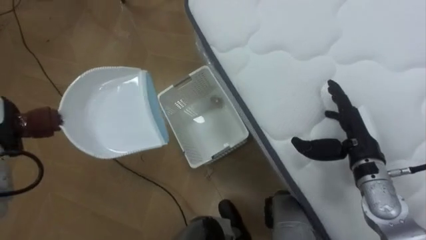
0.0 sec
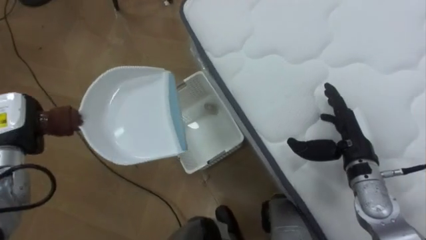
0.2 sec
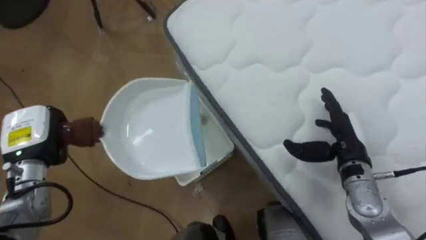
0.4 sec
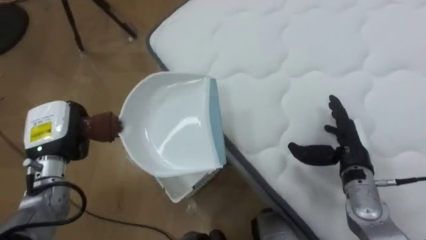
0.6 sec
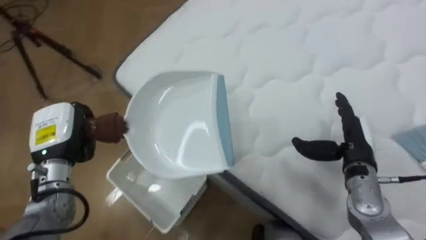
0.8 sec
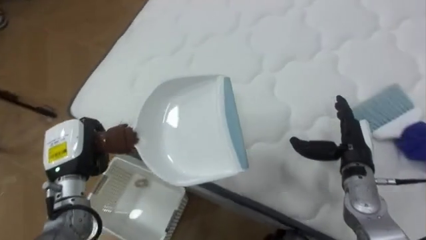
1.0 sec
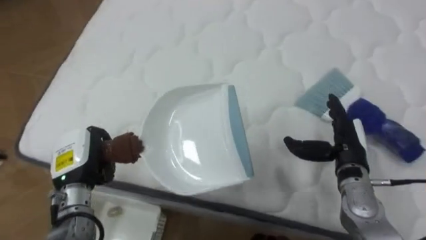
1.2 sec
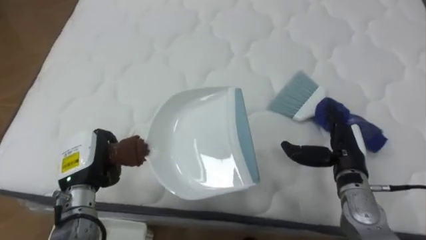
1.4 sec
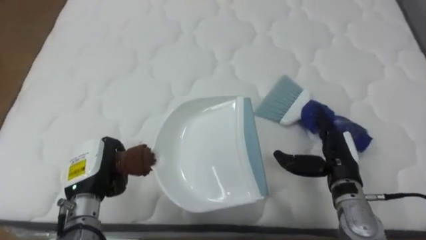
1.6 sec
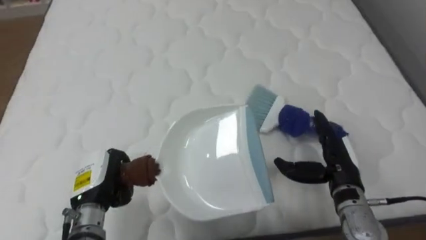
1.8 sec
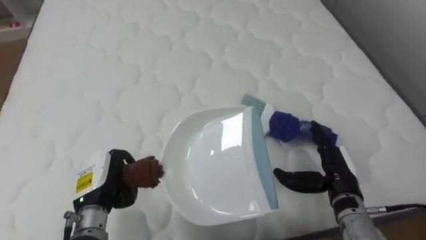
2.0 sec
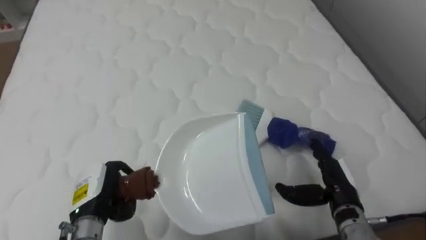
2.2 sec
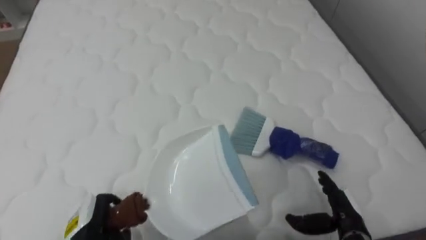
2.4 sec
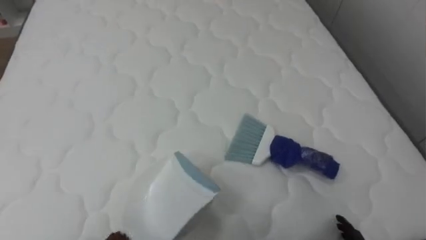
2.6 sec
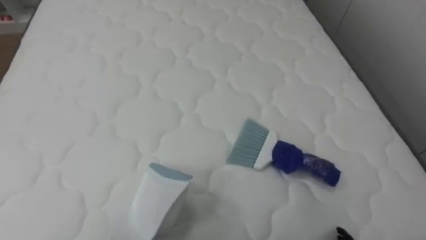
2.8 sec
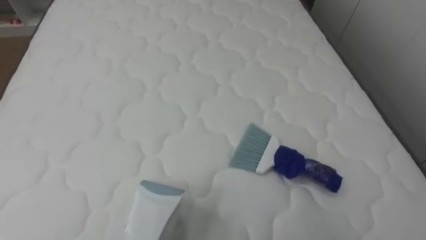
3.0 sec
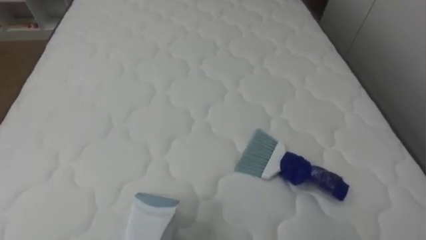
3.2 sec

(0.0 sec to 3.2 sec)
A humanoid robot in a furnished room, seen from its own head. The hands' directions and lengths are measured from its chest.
Task of the whole recording: Pick up the brush on your right and the dustpan on your left. Use the brush to sweep the crumpled paper on the bed into the dustpan, then turn left and empty it into the basket.
0.0 sec - 1.6 sec: The robot's body swings approximately 70 degrees to its right. The right hand moves approximately 5 cm.

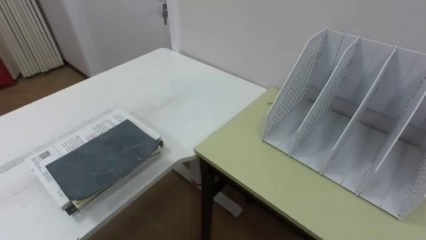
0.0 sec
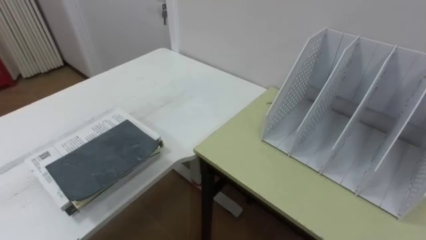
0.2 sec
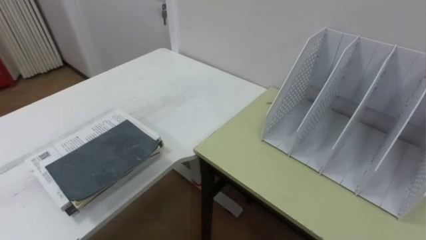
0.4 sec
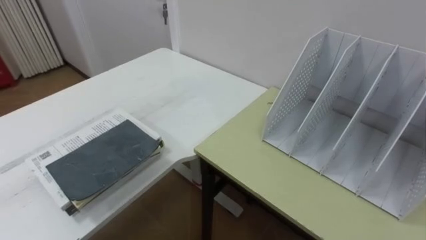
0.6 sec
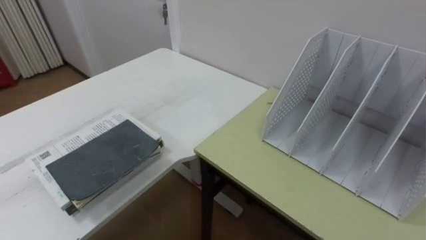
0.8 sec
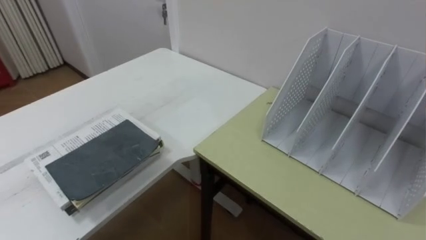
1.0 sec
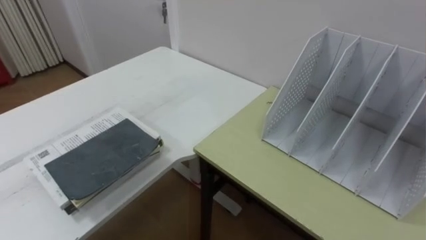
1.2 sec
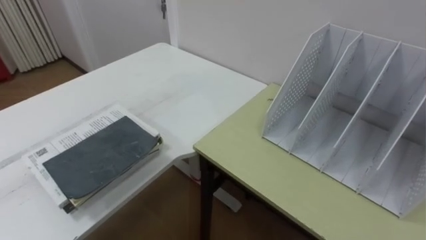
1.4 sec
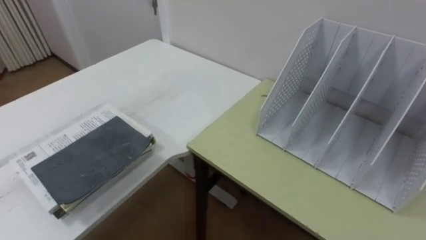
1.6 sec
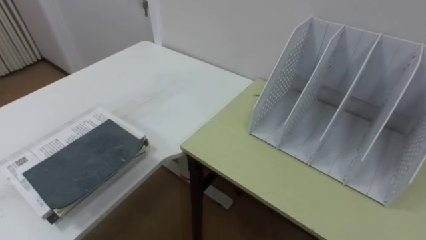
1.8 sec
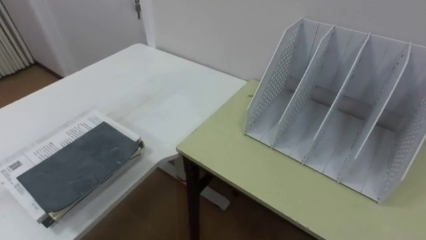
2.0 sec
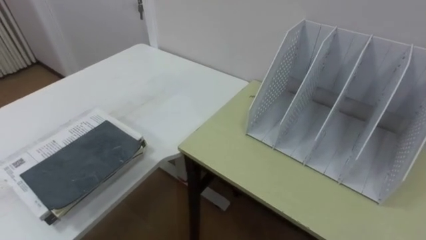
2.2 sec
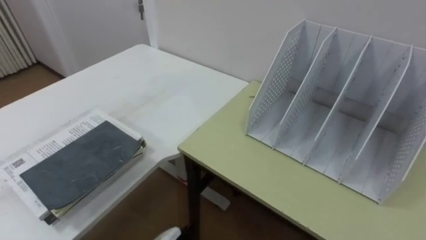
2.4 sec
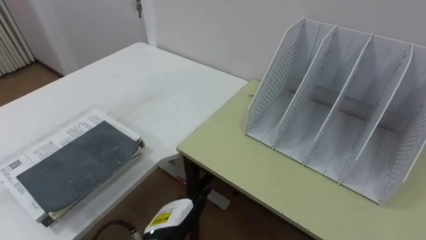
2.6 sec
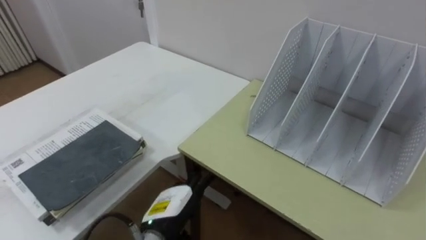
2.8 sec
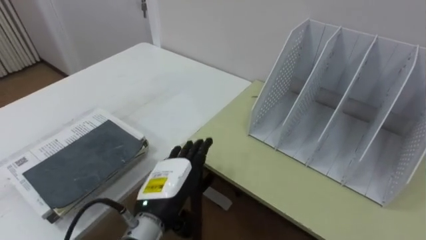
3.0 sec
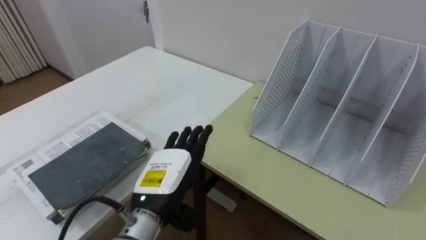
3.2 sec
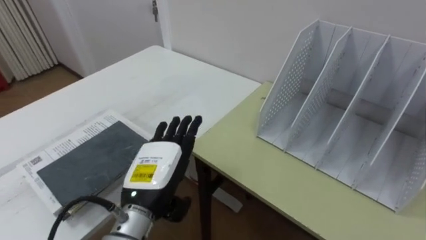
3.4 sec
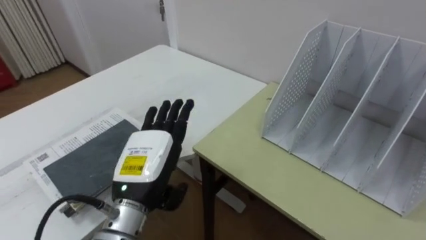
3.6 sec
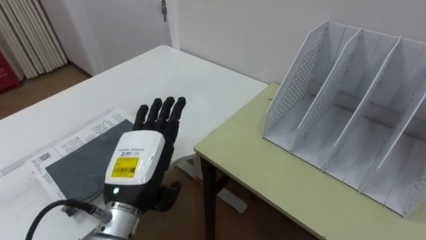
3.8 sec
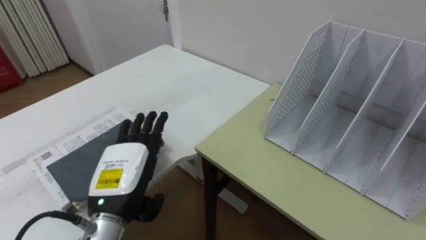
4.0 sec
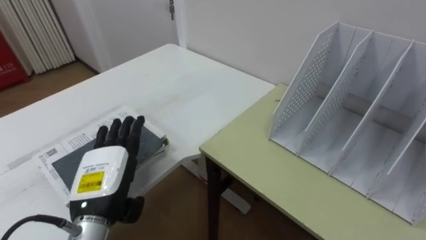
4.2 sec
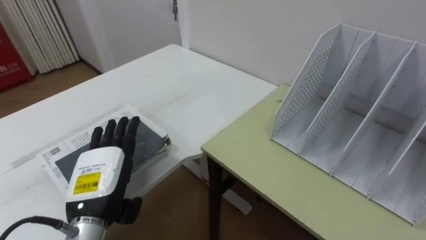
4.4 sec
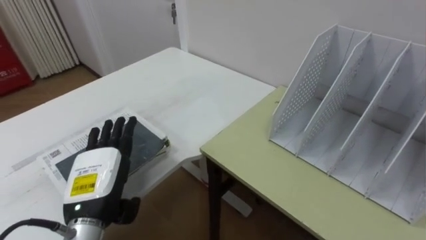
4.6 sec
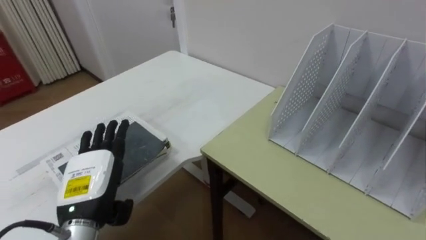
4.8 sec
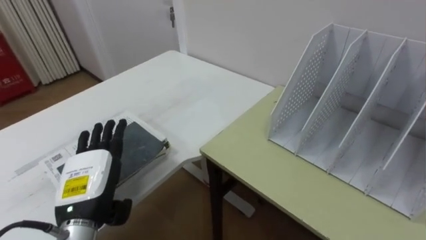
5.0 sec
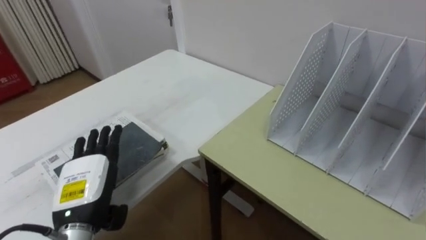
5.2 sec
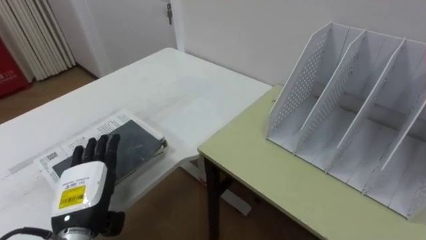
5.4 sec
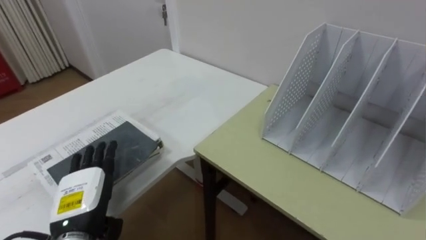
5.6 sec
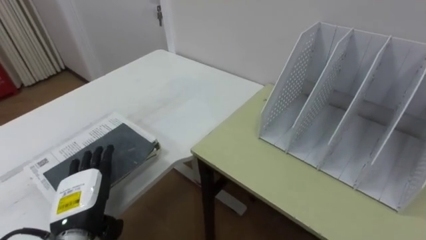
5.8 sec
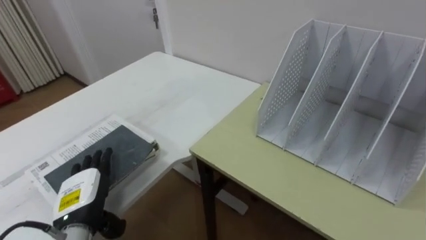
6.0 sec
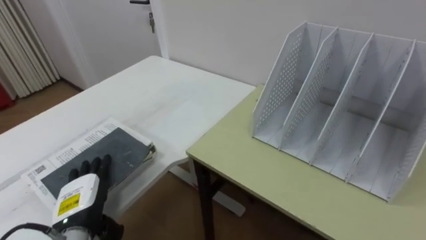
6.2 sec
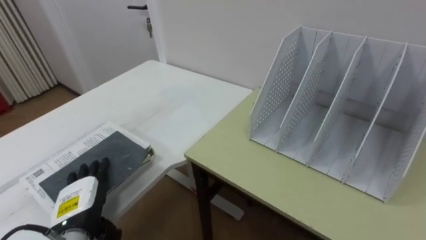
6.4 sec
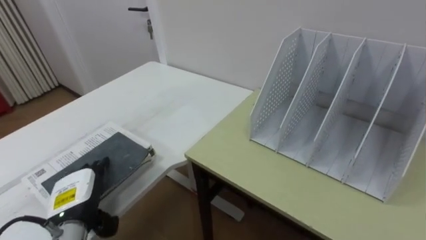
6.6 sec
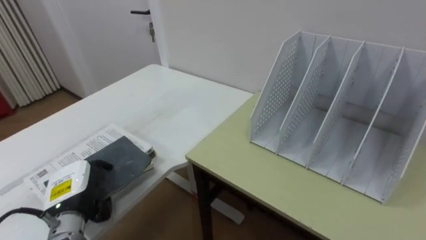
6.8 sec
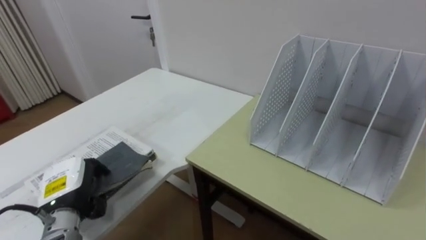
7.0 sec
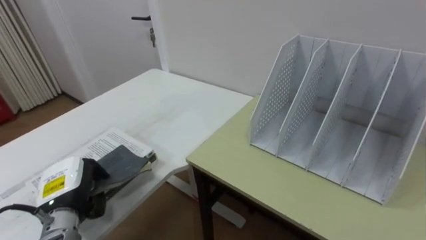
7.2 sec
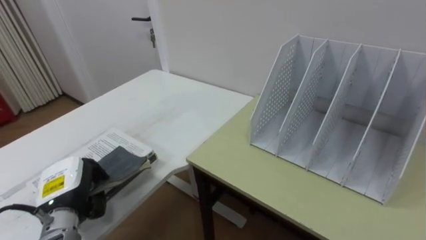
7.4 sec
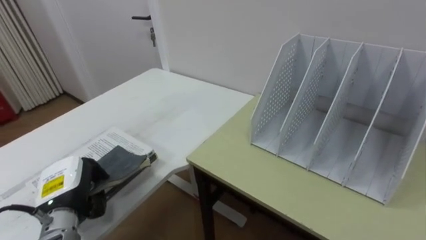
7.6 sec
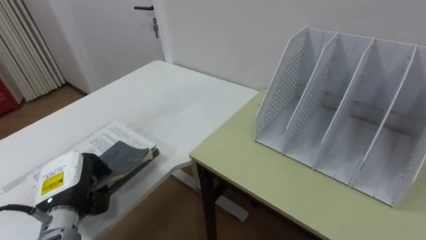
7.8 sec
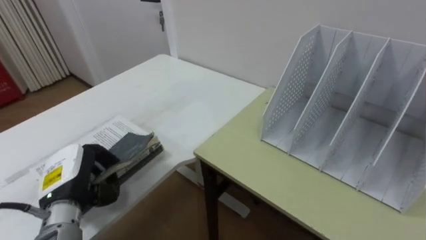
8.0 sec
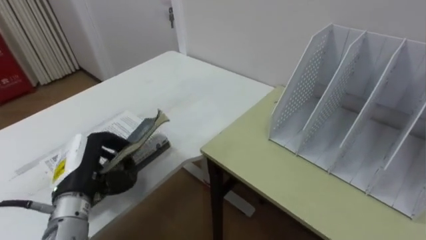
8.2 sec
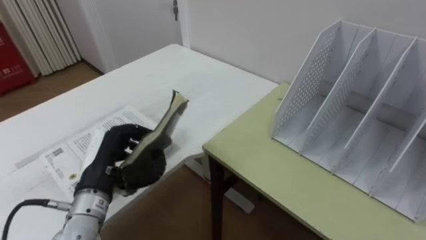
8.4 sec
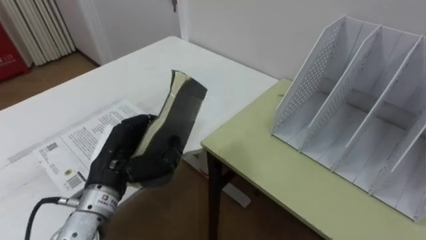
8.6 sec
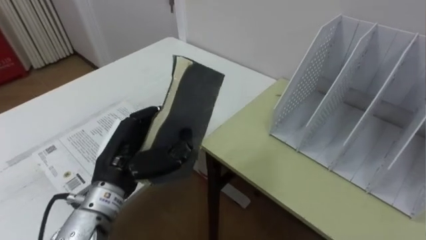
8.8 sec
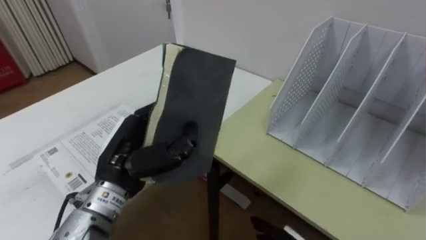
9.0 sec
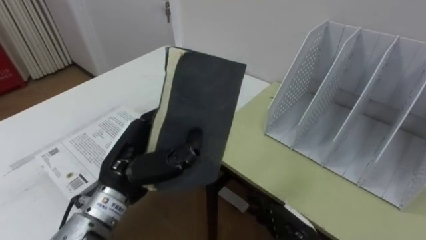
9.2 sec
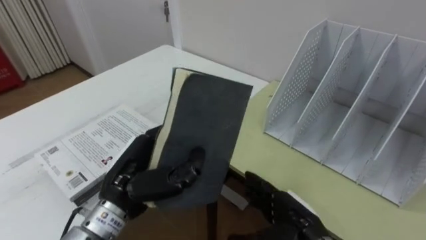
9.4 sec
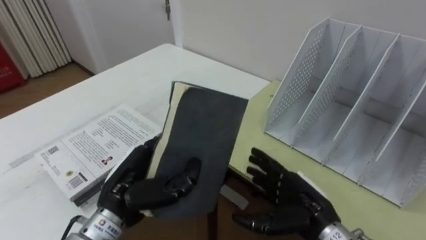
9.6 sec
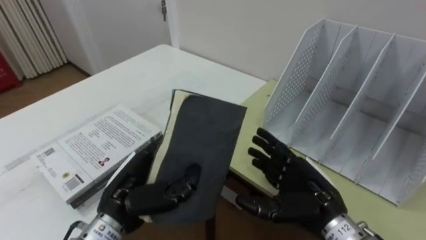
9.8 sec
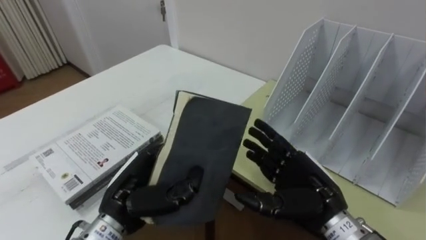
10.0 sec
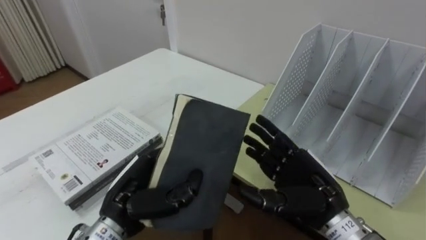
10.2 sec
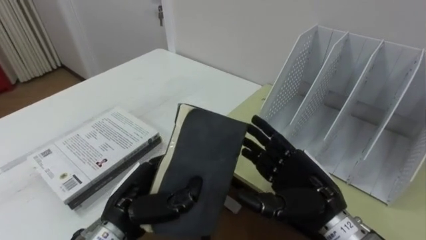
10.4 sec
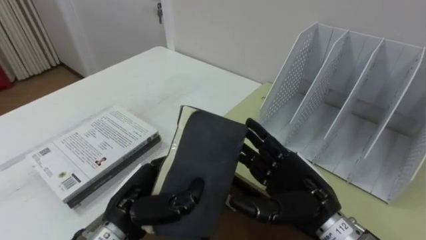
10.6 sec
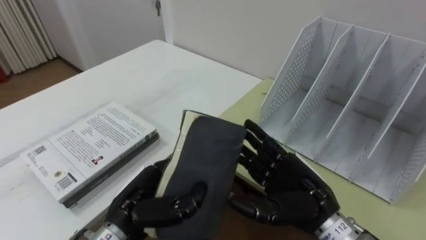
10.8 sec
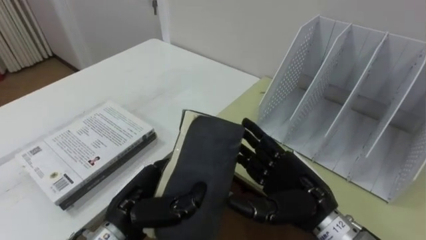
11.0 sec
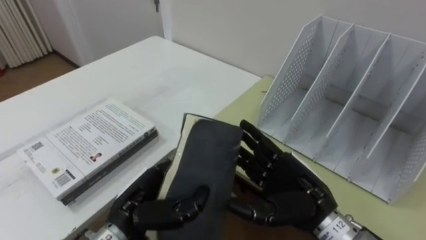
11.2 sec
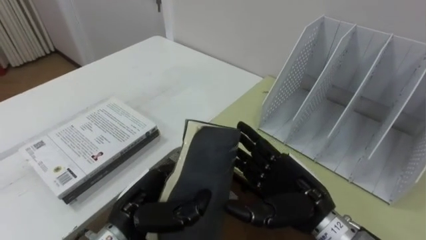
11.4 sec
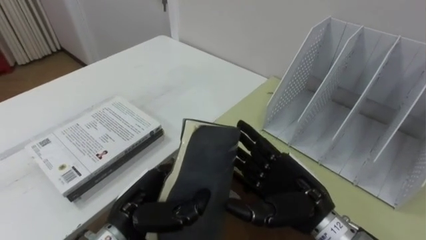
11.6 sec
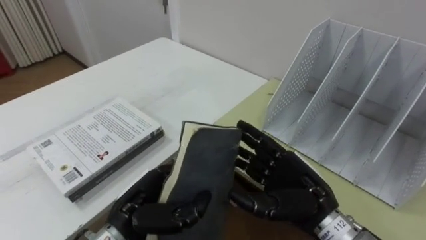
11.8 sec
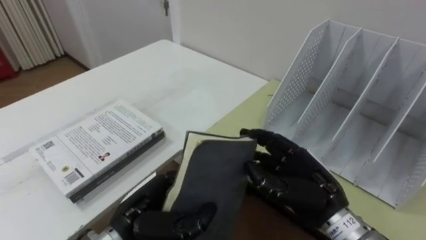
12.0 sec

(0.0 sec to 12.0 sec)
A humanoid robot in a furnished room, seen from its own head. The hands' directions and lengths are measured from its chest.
Task of the whole recording: Put the books on the table onto the bookshelf.
3.0 sec - 4.4 sec: The left hand is displaced to the left by roughly 10 cm.
4.4 sec - 6.0 sec: The left hand is displaced downward by approximately 5 cm.
6.0 sec - 7.6 sec: The left hand closes its fingers.
7.6 sec - 9.0 sec: The left hand shifts some 15 cm to the right and upward.
9.0 sec - 10.4 sec: The left hand travels downward by approximately 10 cm.
10.4 sec - 12.0 sec: The right hand closes up.

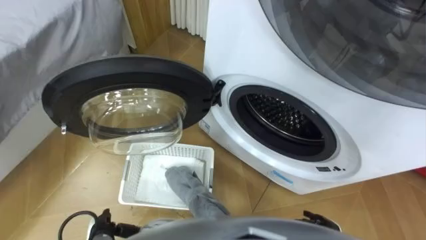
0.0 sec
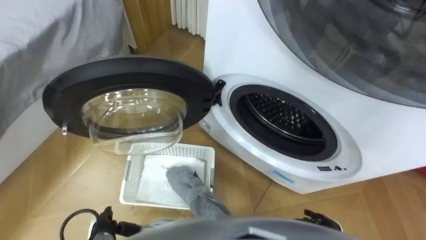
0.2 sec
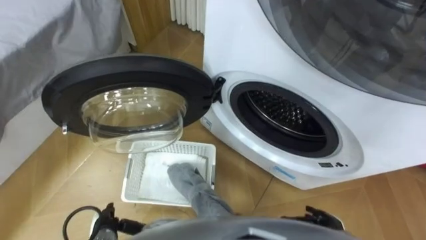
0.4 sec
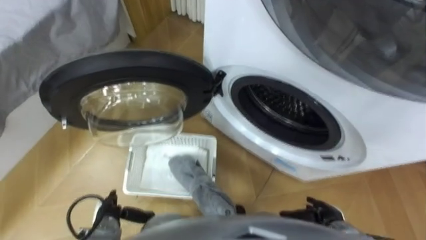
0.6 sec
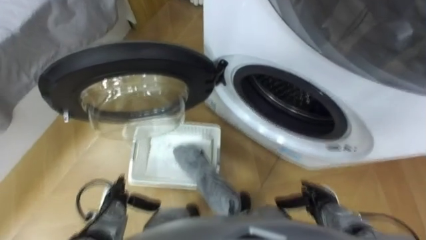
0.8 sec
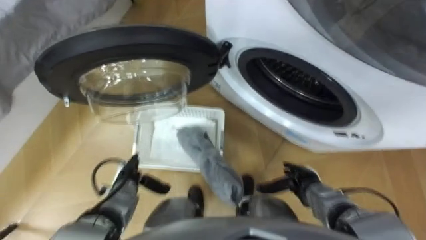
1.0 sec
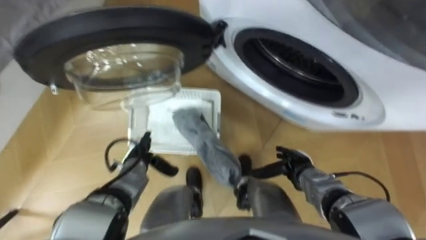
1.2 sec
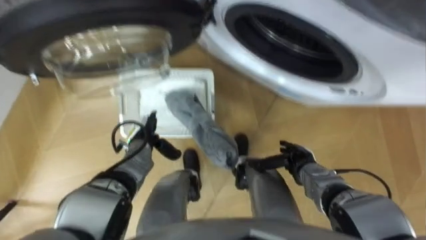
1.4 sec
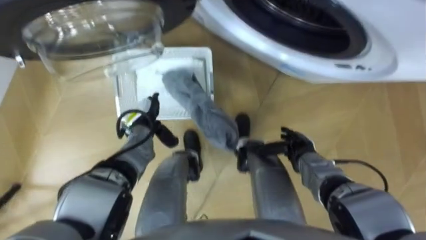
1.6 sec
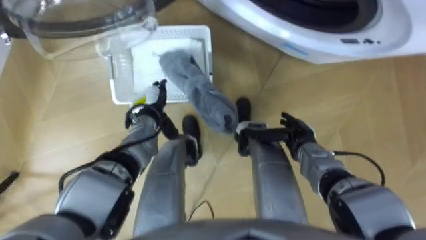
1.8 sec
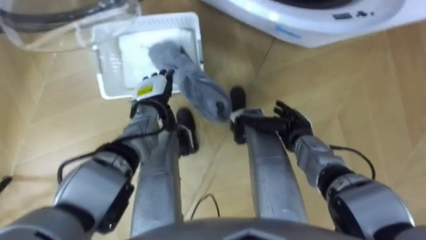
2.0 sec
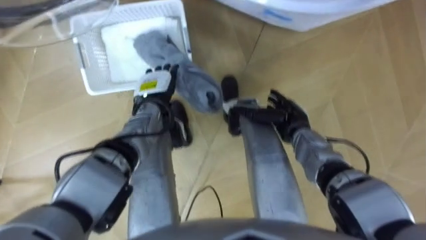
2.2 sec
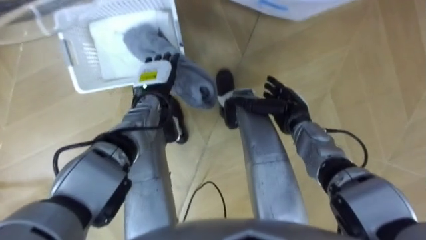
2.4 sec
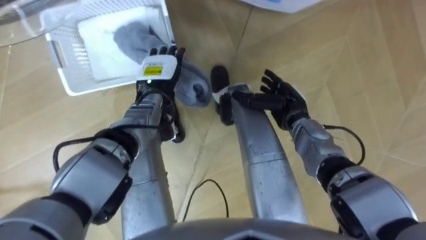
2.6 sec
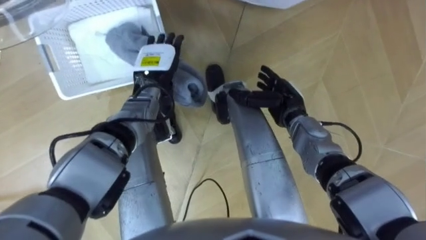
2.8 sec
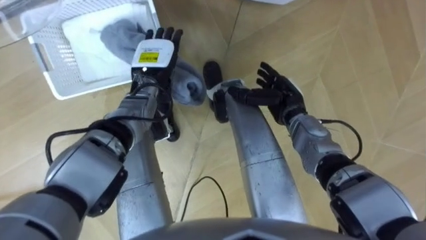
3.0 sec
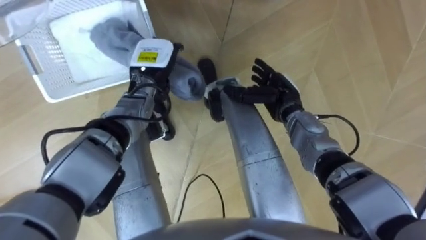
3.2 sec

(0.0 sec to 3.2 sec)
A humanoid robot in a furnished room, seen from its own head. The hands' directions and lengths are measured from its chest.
Task of the whole recording: Take the towel from the basket and put it into the washing machine.
1.6 sec - 3.2 sec: The left hand moves upward and forward, roughly 15 cm. Meanwhile the right hand goes about 15 cm forward, upward and to the left.
